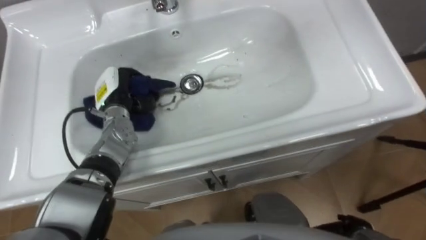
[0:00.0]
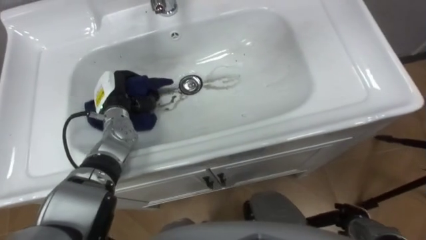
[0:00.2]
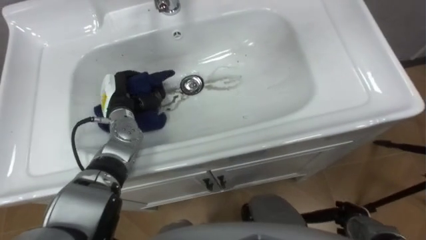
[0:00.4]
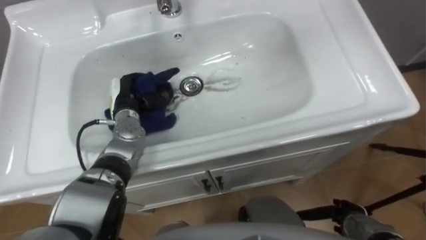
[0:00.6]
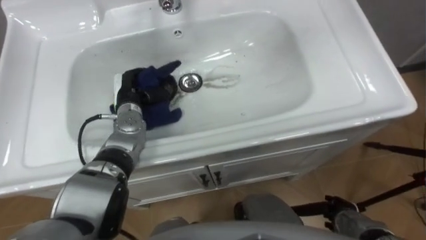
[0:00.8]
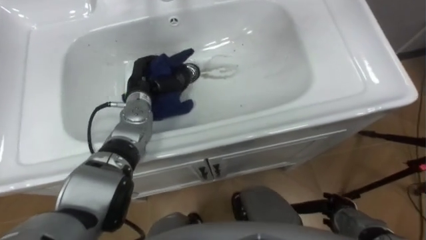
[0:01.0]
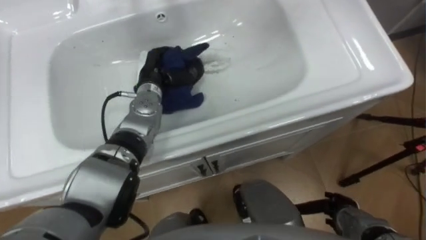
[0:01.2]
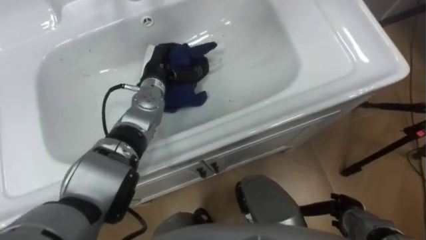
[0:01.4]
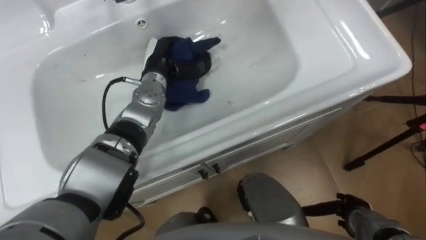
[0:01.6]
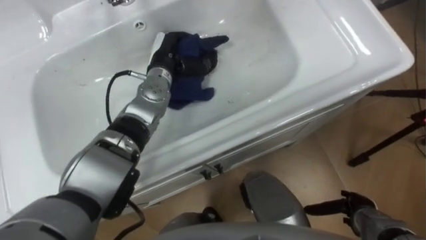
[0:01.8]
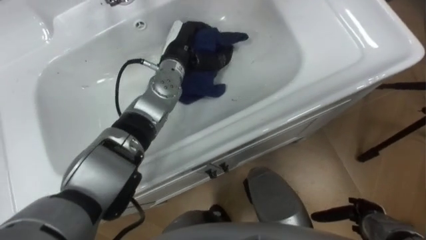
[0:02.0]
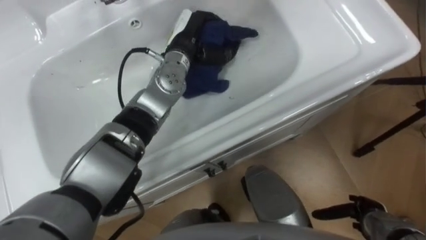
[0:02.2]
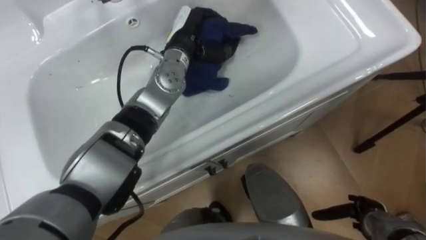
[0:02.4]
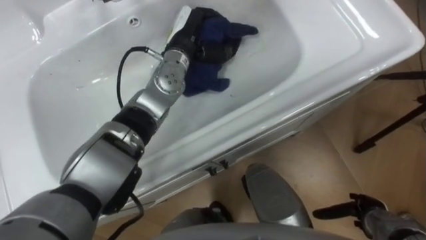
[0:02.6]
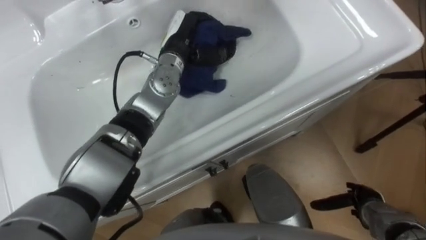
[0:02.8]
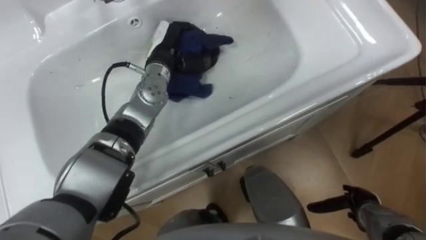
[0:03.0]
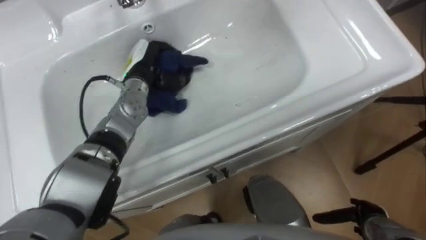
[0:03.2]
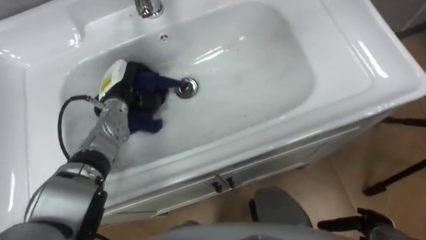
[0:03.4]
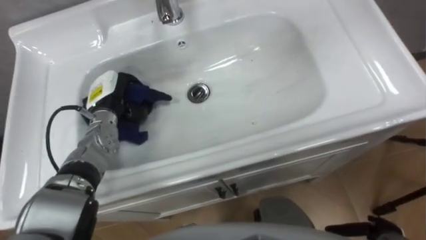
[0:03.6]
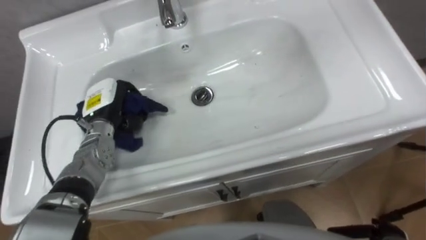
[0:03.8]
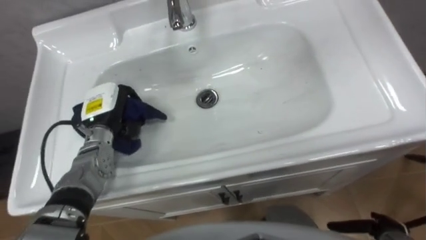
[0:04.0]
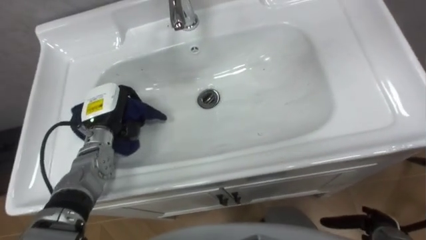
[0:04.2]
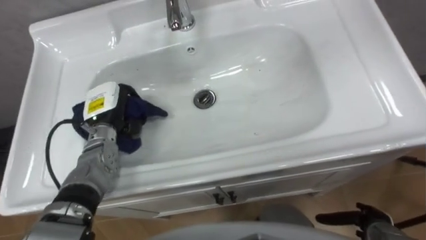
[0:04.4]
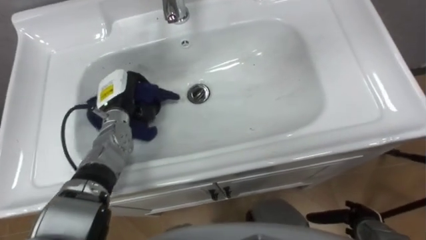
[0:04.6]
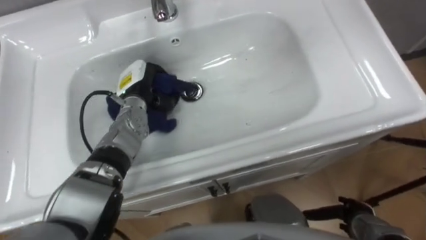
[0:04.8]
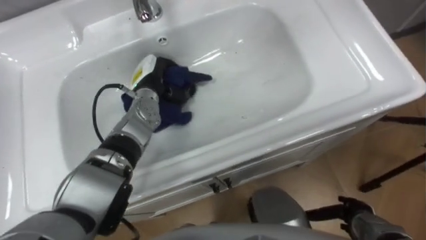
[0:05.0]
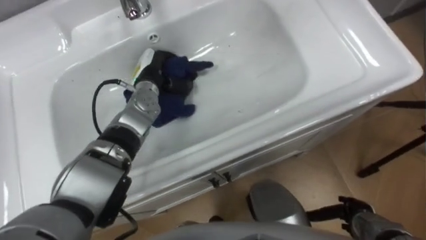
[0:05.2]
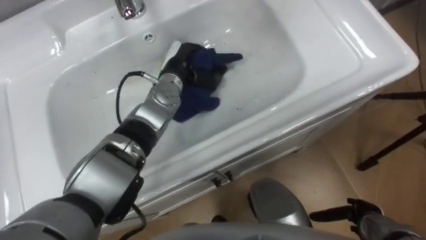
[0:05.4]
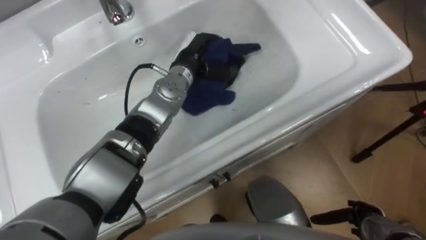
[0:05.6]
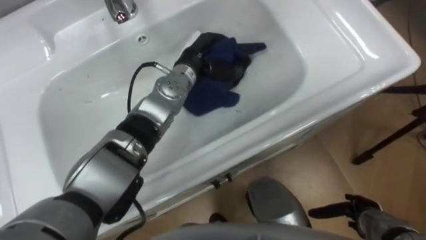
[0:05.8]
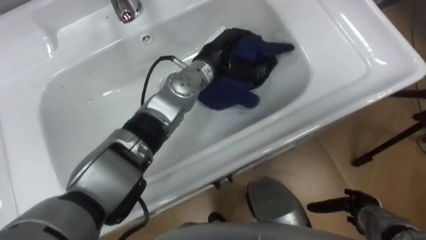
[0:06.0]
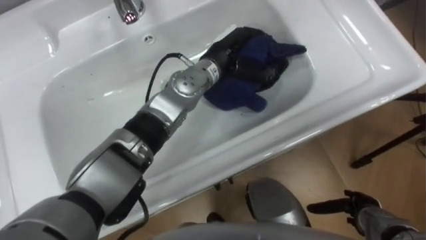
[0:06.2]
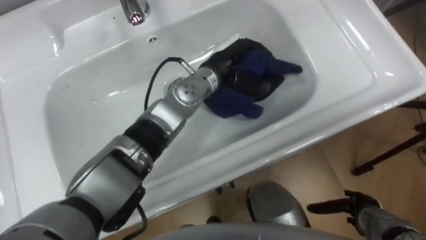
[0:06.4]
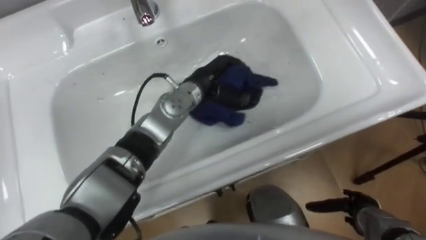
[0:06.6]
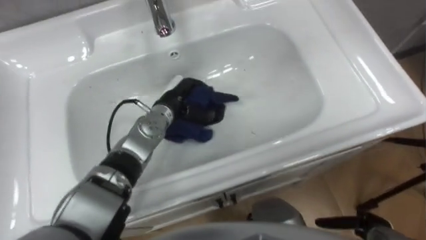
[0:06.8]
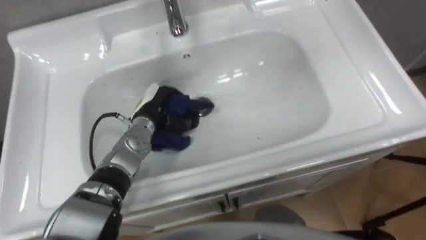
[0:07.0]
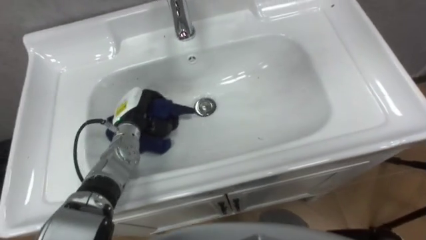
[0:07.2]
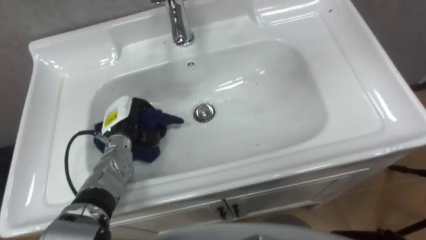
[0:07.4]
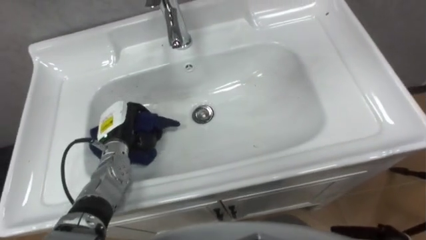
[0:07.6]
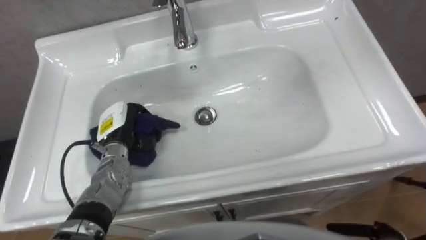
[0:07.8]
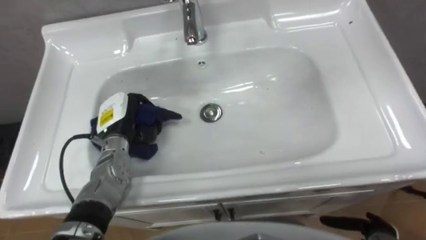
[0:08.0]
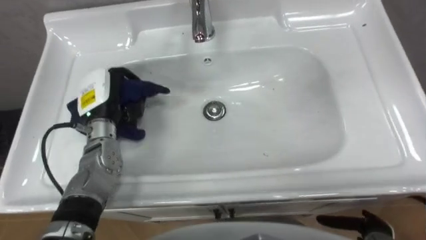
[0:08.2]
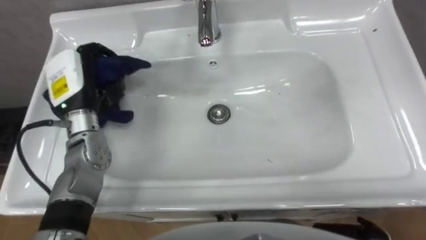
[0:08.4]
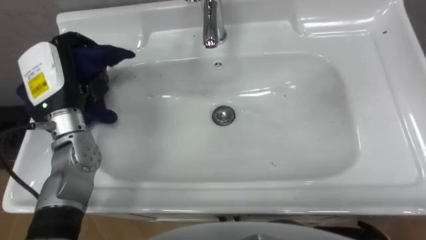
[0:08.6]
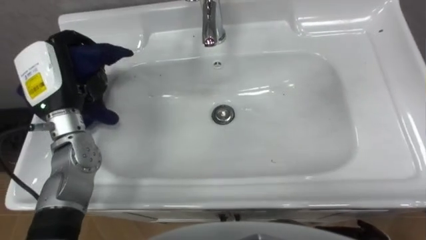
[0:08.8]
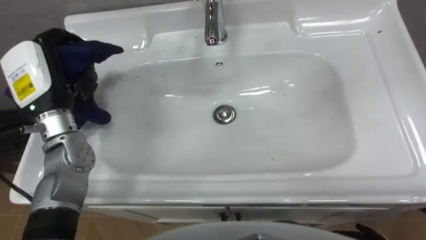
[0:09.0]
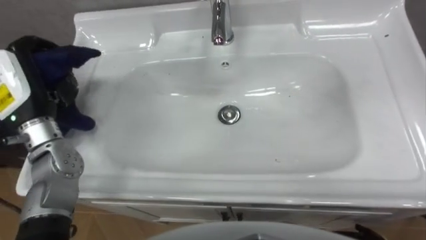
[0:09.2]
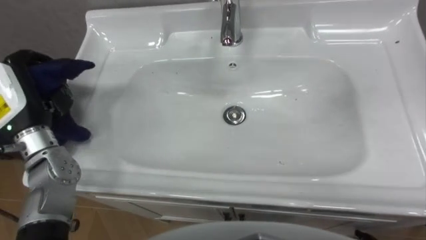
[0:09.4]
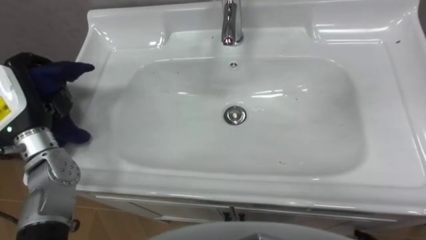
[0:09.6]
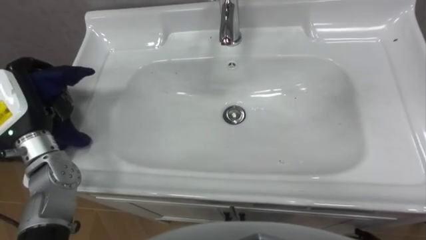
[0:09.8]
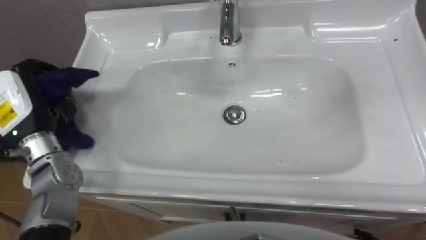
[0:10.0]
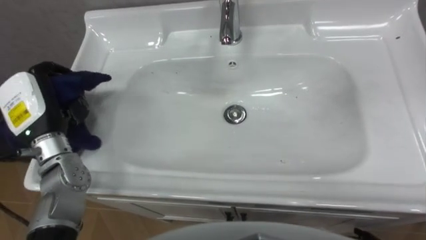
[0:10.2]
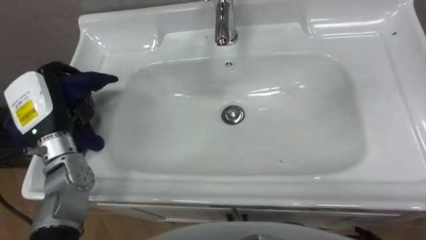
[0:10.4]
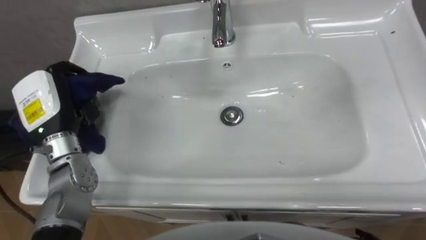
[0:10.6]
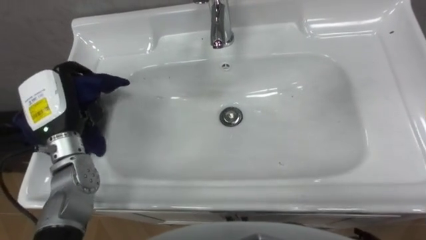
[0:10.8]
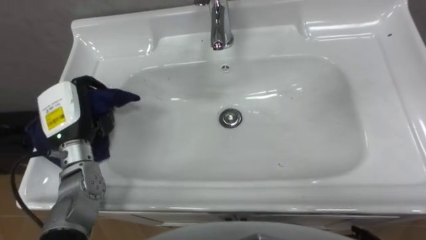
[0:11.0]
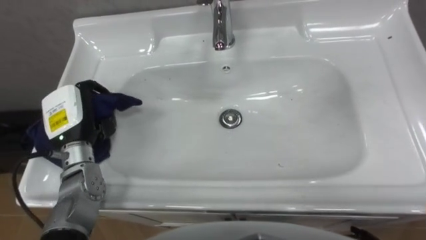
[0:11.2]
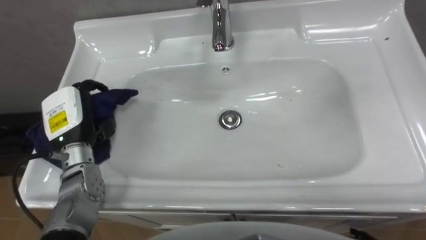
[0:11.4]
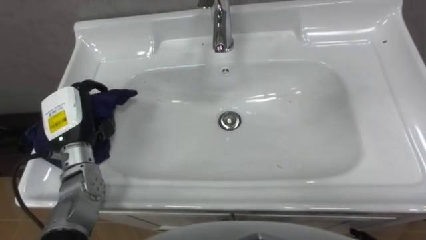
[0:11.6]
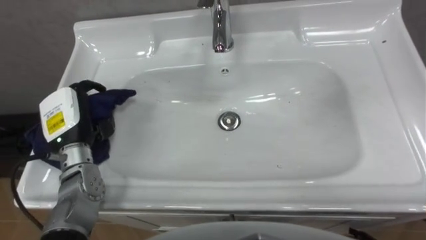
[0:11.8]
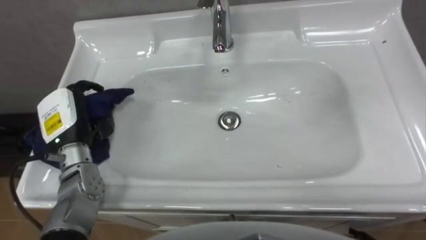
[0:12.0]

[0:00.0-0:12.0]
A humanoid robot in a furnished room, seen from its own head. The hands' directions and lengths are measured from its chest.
Task of the whole recording: Use the cloth on the right to wipe away the black stain in the sink.
0:00.0 to 0:01.6: The left hand goes some 10 cm to the right and forward.
0:03.0 to 0:04.4: The left hand heads to the left, backward and downward, covering approximately 20 cm.
0:04.4 to 0:06.0: The left hand travels to the right by some 25 cm.
0:06.0 to 0:07.6: The left hand goes some 30 cm to the left, downward and backward.
0:07.6 to 0:09.0: The left hand is displaced upward by about 20 cm.
0:09.0 to 0:10.4: The left hand shifts by some 5 cm.

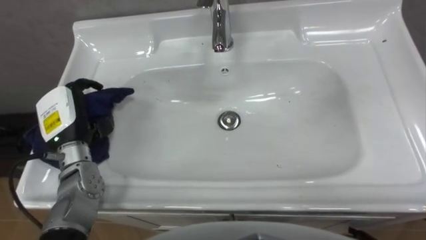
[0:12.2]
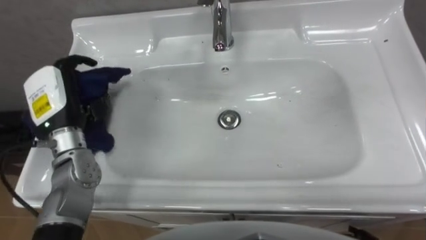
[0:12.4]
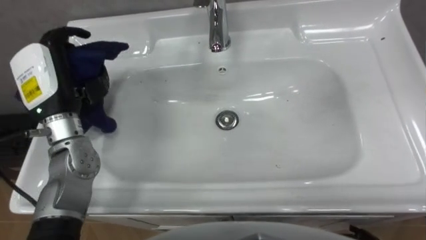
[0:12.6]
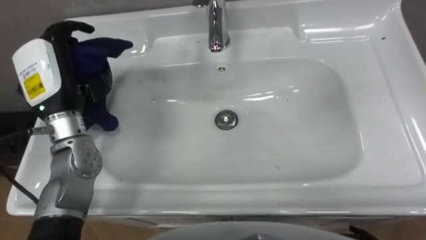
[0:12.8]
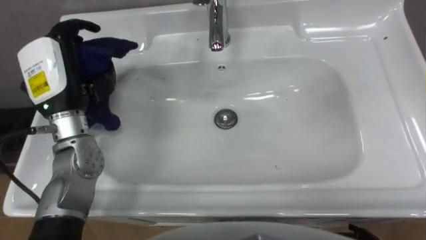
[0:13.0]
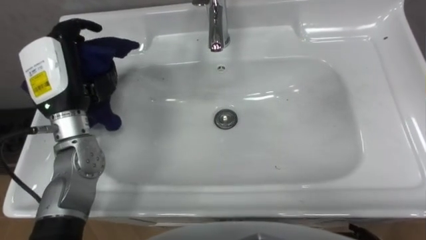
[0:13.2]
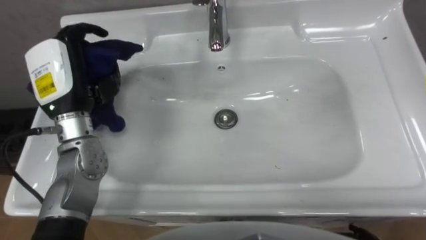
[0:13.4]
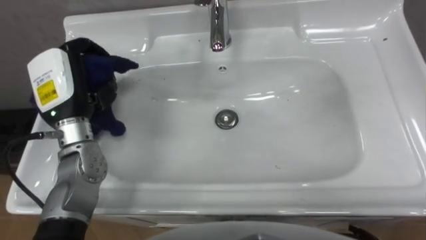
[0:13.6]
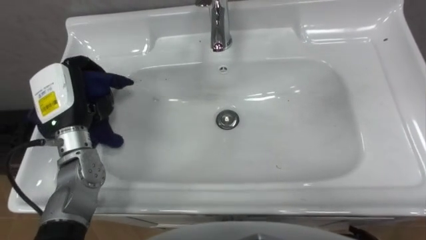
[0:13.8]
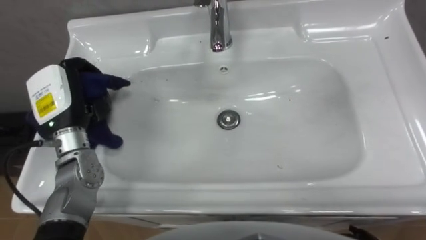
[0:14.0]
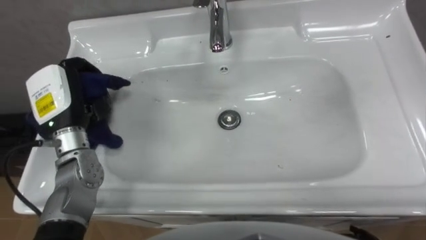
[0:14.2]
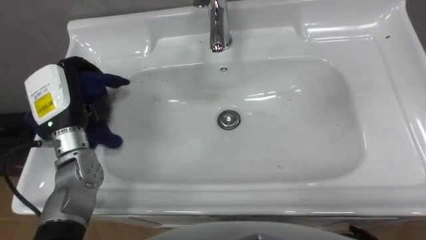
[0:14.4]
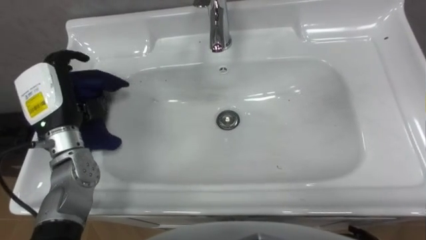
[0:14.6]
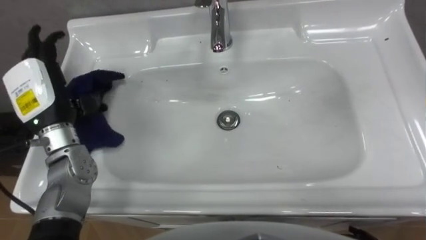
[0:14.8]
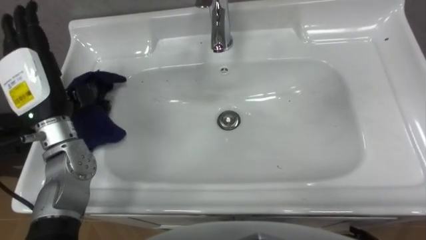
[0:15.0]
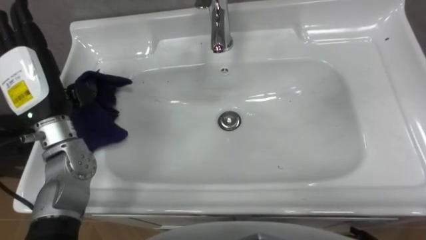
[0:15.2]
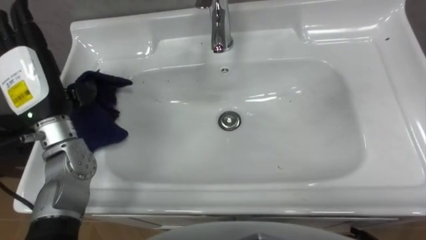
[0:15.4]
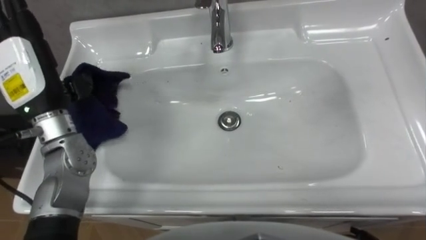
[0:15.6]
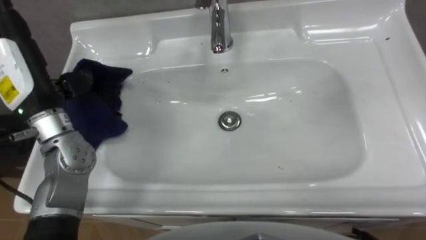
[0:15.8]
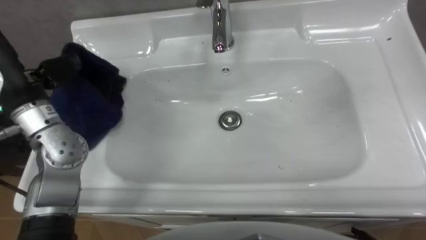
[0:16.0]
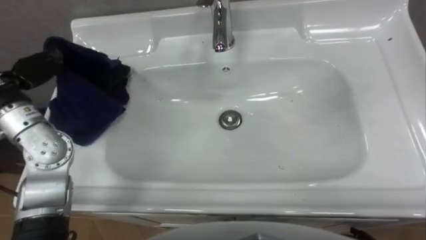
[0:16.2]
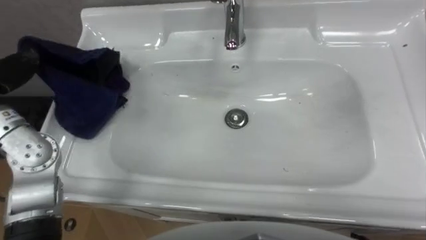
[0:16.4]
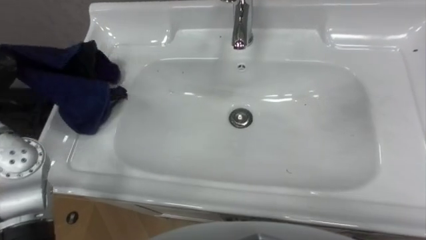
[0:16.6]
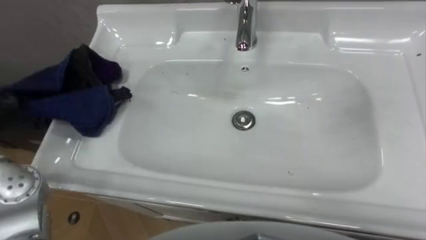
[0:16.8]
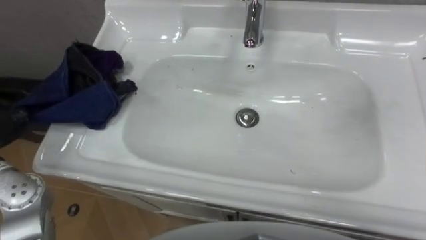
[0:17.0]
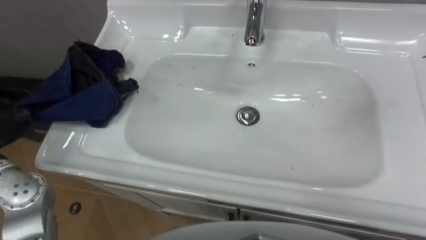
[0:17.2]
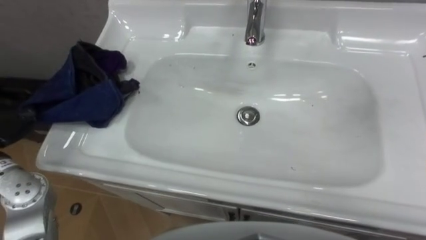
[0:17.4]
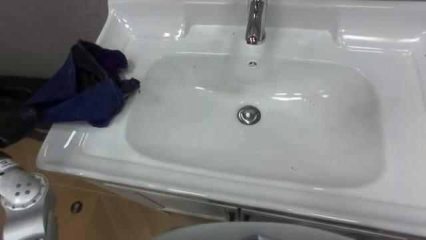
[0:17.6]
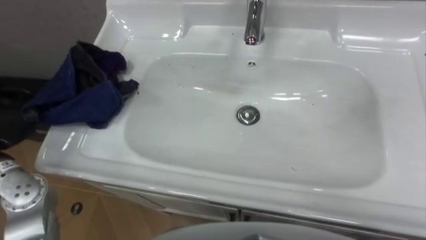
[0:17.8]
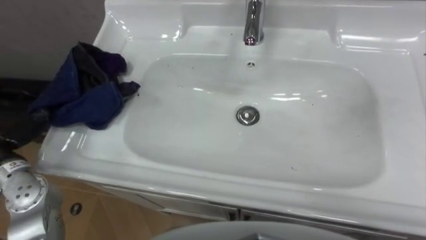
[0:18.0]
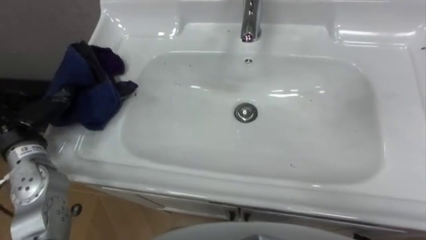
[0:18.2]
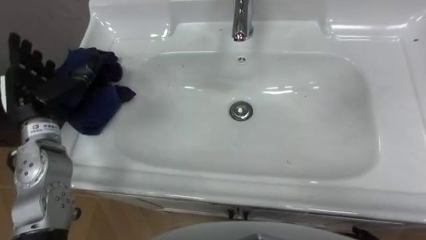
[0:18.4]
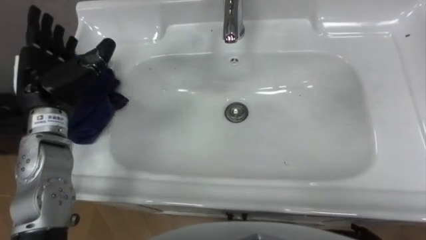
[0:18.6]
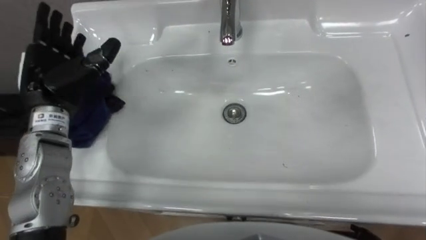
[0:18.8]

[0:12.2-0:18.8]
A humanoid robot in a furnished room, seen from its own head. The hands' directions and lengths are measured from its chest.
Task of the whole recording: Use the cloth on the right to wipe away the black stain in the sink.
0:13.8 to 0:15.4: The left hand opens up.
